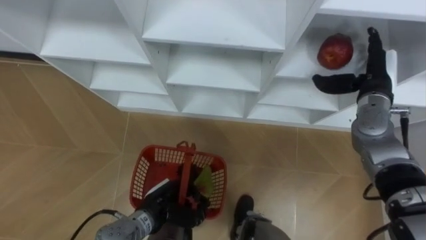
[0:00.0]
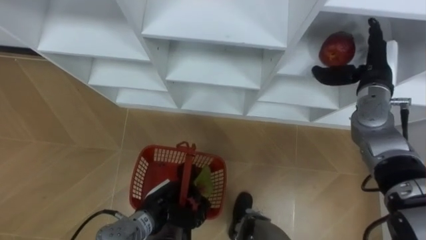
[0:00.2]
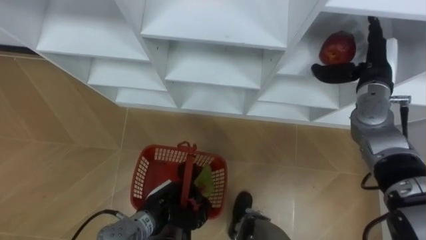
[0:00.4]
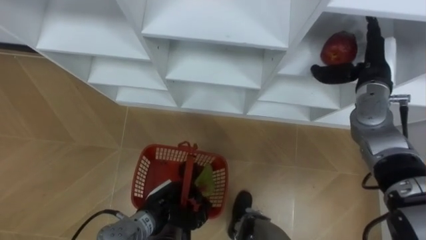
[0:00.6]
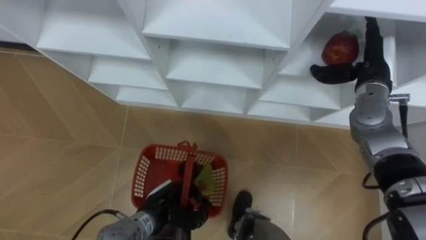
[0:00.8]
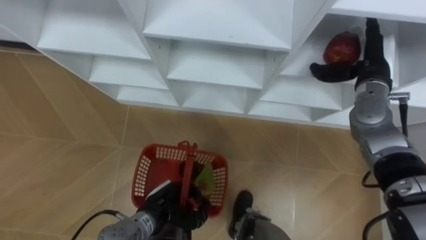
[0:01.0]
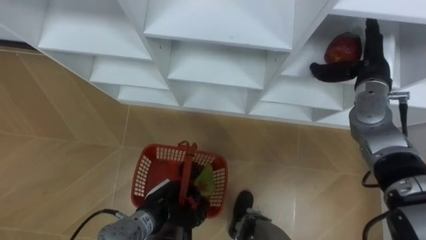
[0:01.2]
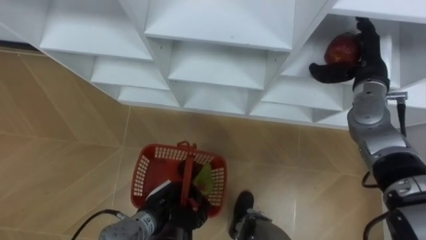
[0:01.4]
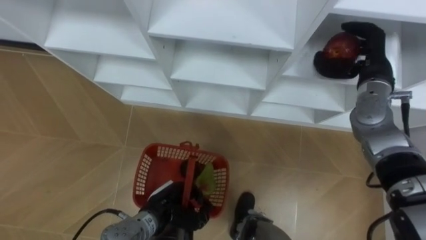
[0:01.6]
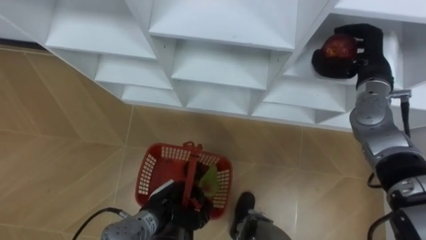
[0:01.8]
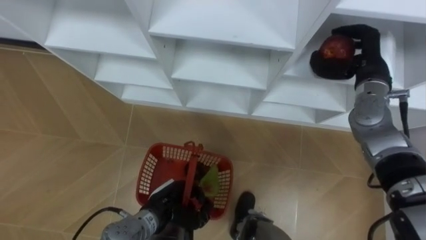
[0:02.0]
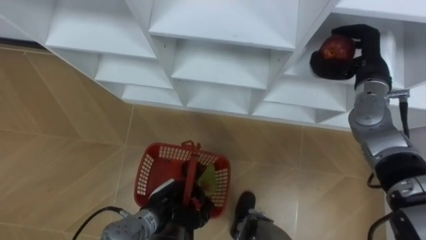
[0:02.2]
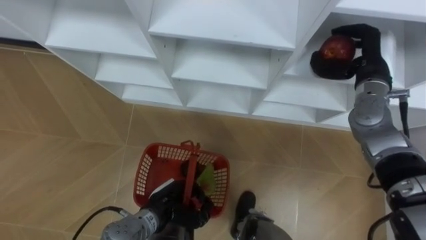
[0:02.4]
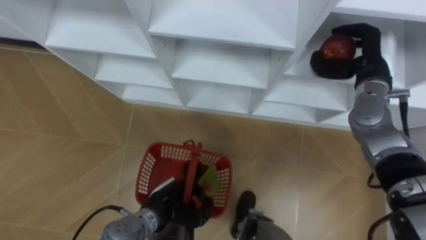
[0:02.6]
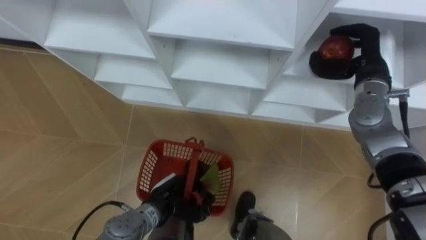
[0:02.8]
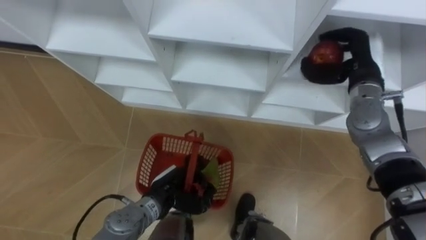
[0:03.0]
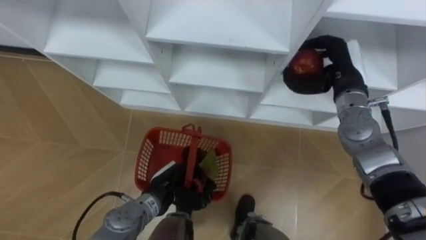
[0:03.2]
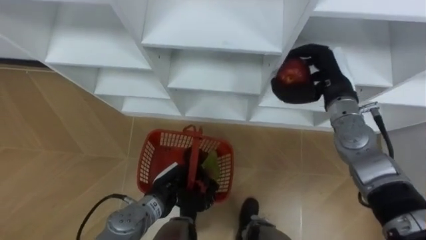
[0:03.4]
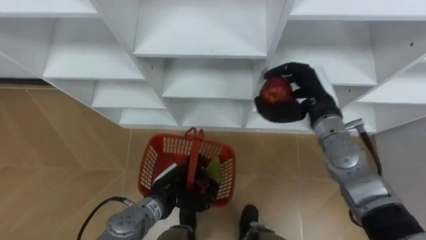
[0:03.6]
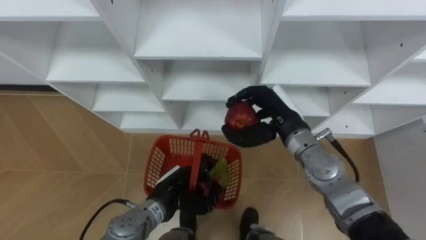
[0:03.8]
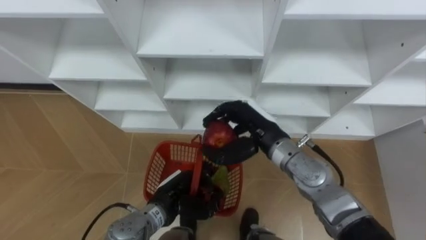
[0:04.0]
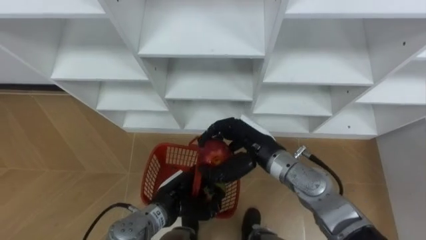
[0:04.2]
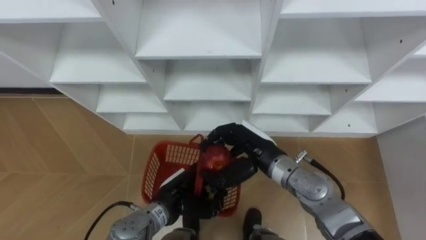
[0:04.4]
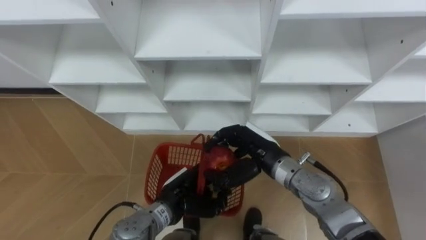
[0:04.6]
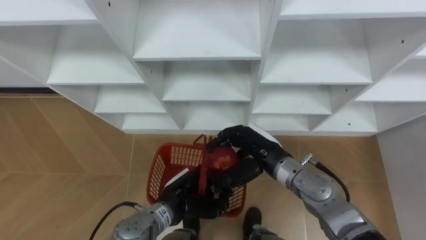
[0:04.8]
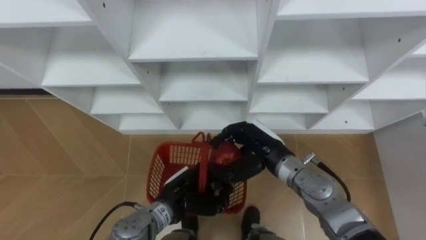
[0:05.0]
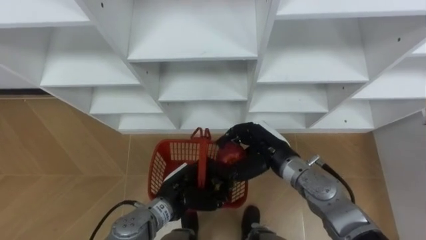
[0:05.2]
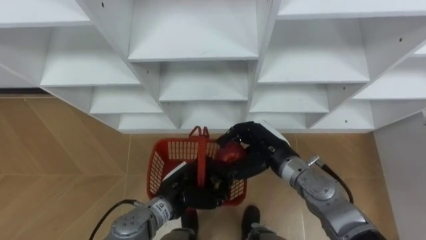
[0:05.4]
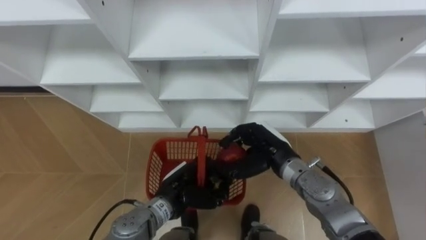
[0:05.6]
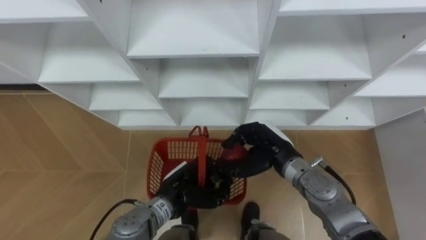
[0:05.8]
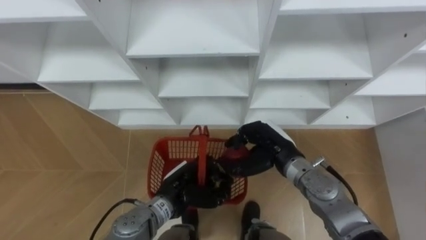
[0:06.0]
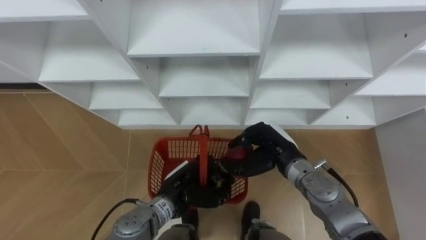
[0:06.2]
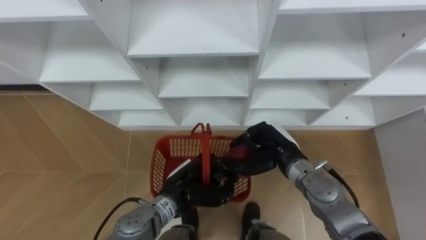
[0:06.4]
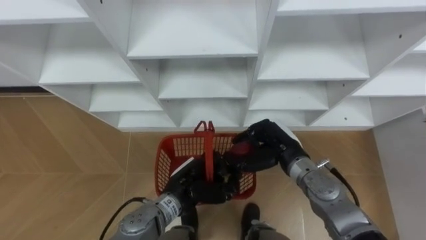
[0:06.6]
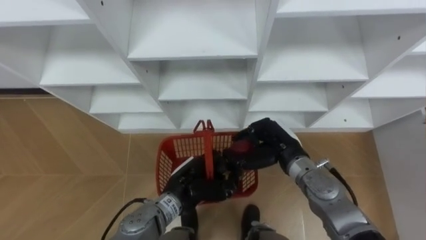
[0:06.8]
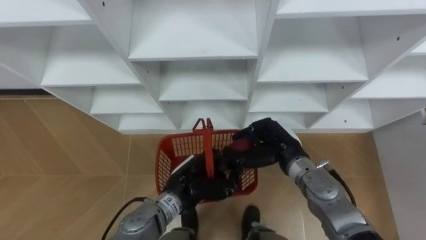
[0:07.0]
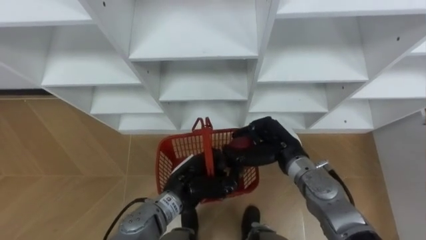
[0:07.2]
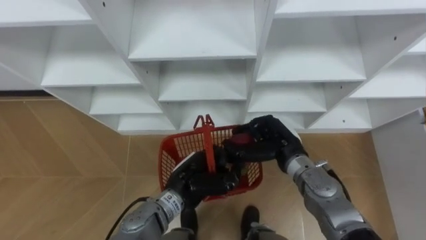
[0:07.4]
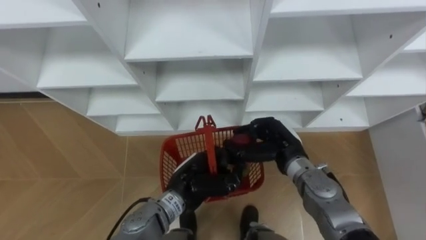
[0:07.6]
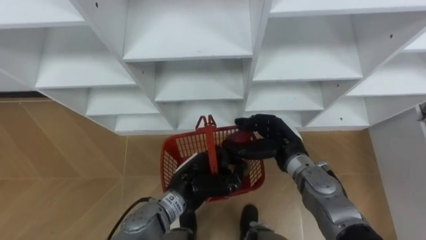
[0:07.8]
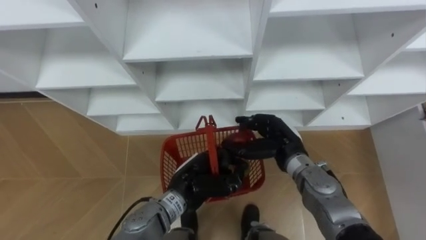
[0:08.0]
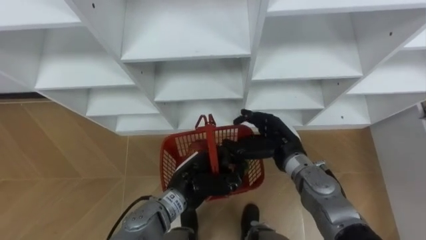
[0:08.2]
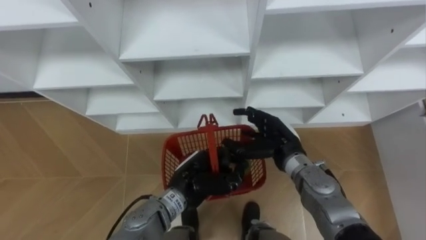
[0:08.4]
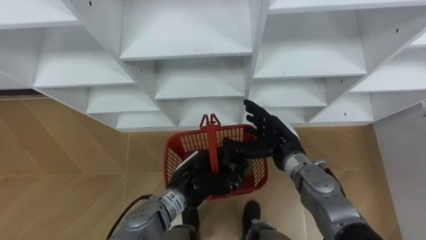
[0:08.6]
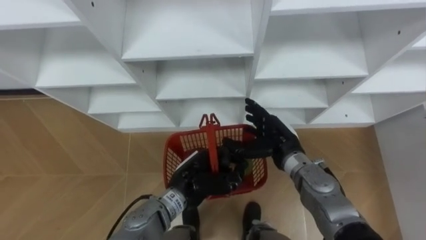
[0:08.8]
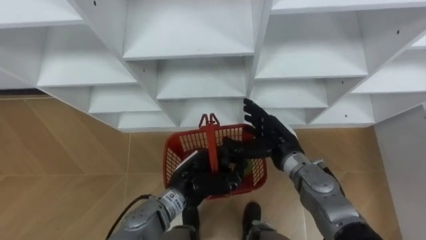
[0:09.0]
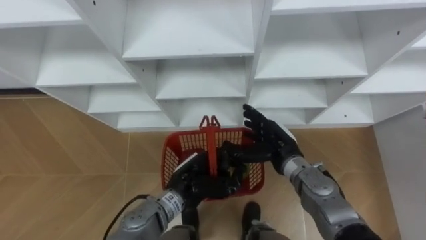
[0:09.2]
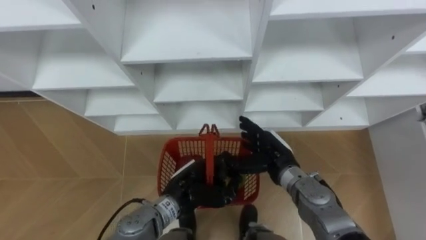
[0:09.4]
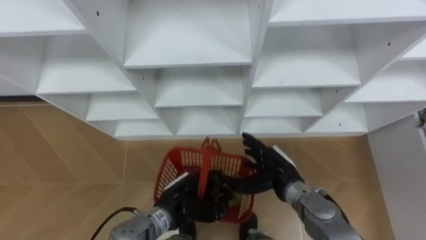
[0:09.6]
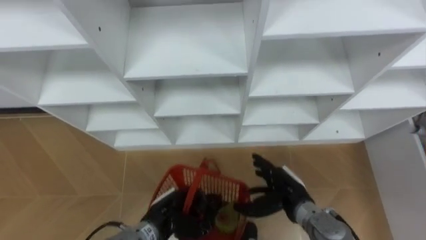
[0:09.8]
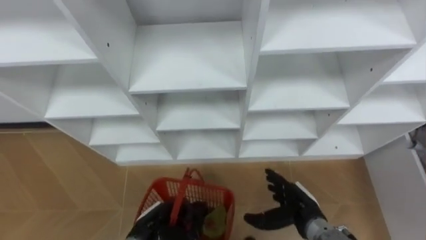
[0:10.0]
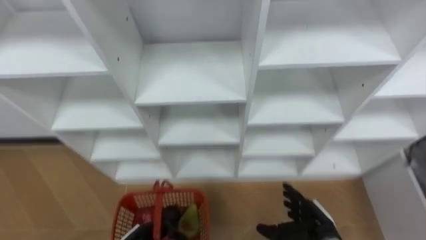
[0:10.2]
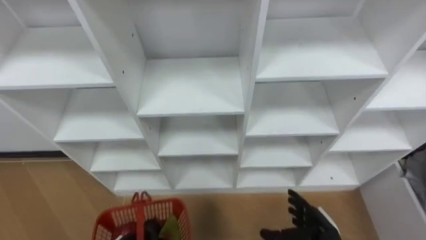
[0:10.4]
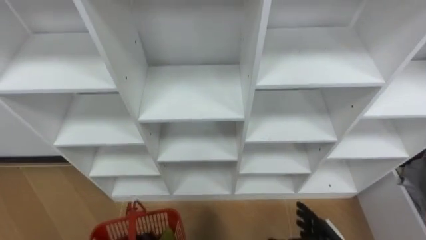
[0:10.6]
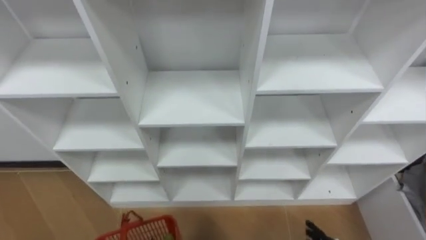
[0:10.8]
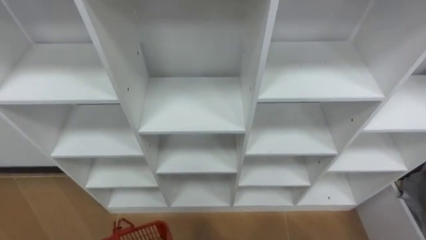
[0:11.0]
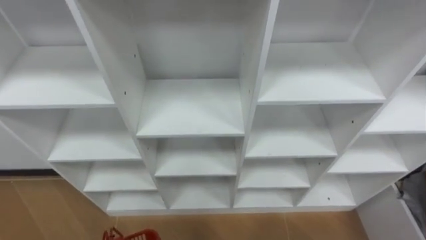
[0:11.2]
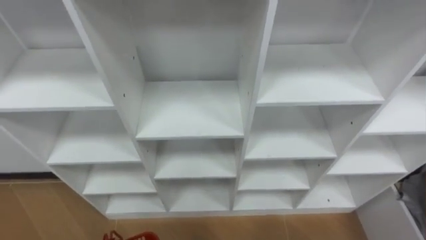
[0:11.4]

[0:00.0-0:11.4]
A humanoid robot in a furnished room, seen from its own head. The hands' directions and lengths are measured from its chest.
Task of the whole recording: Hold the basket and collect the fruits from 3 different cells of the closet into it.
0:01.4 to 0:02.8: The right hand closes up.
0:02.8 to 0:04.2: The right hand shifts approximately 25 cm to the left, backward and downward.
0:04.2 to 0:05.6: The right hand moves approximately 5 cm.
0:05.6 to 0:07.2: The hands move only a little.
0:07.2 to 0:08.6: The right hand opens up.
0:08.6 to 0:10.0: The left hand moves downward, to the left and backward, roughly 15 cm. The right hand is displaced backward, downward and to the right by about 15 cm.

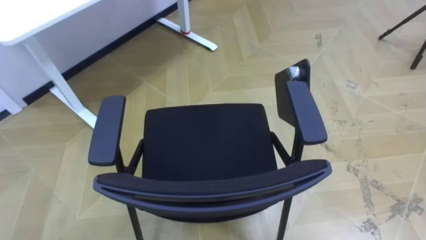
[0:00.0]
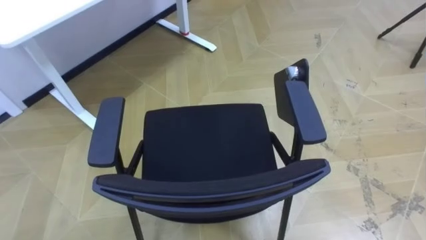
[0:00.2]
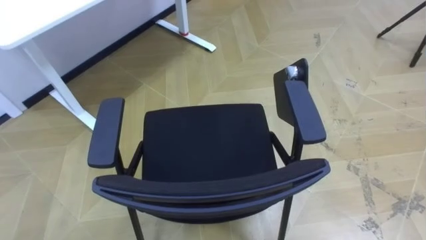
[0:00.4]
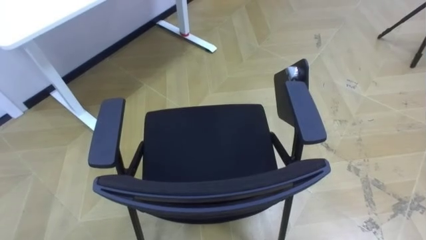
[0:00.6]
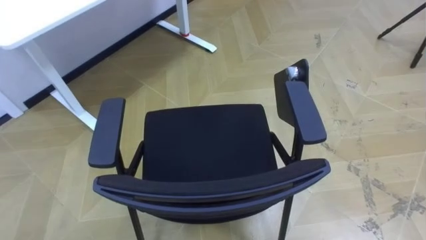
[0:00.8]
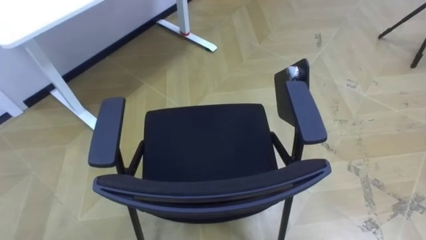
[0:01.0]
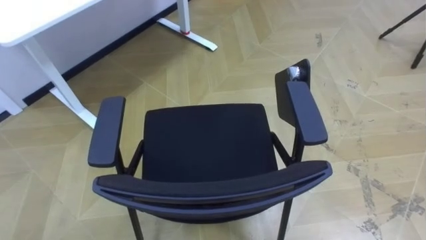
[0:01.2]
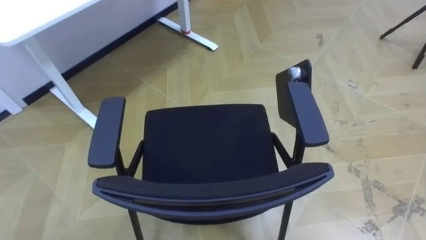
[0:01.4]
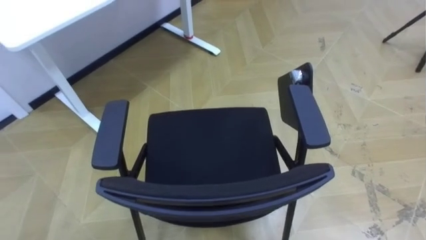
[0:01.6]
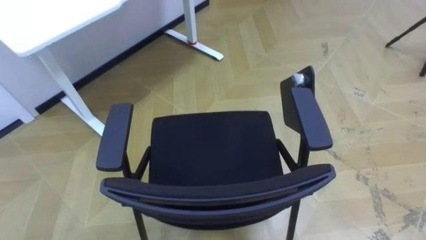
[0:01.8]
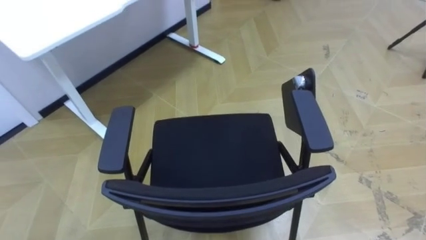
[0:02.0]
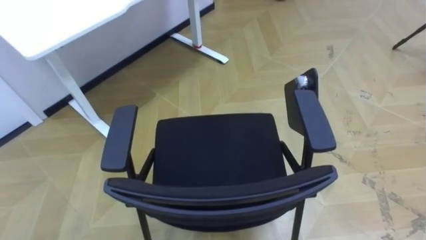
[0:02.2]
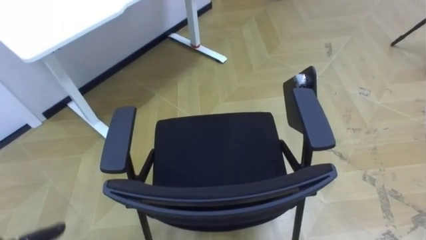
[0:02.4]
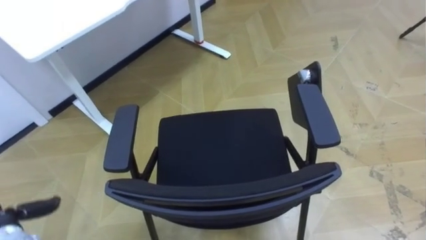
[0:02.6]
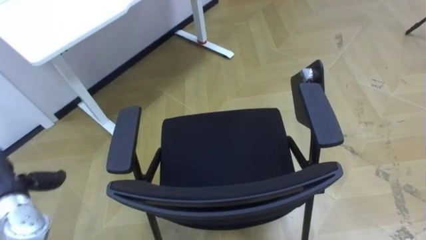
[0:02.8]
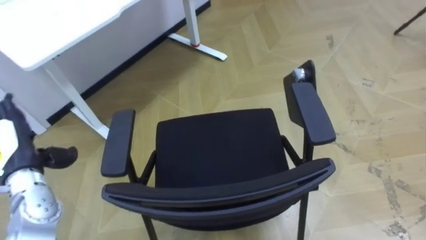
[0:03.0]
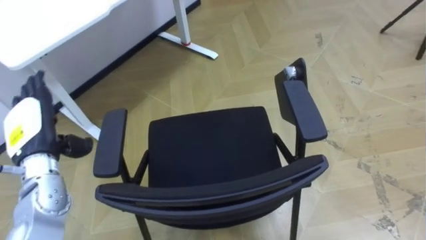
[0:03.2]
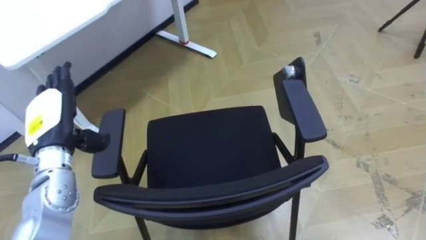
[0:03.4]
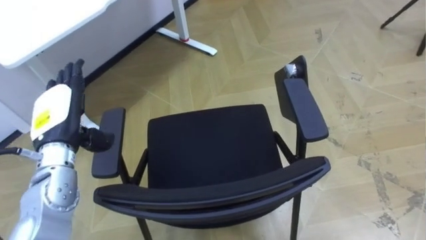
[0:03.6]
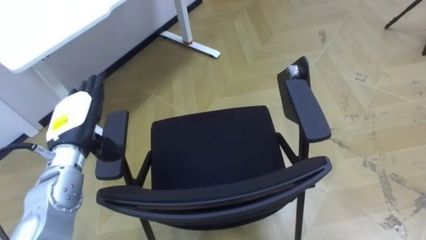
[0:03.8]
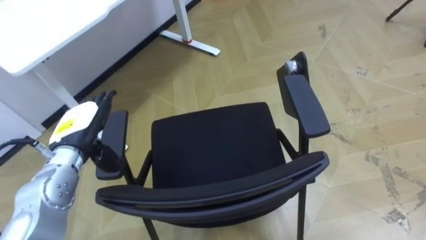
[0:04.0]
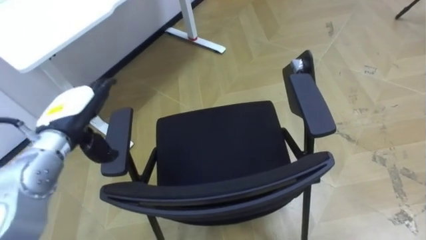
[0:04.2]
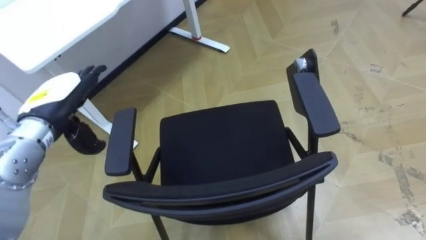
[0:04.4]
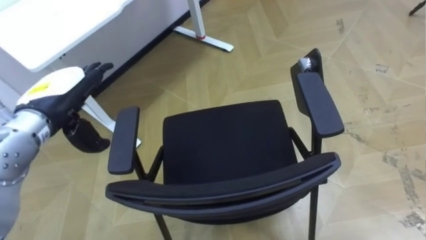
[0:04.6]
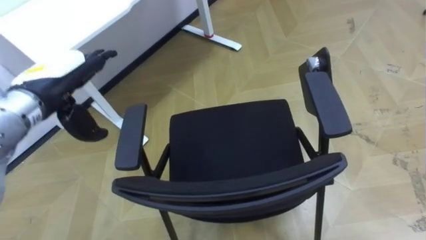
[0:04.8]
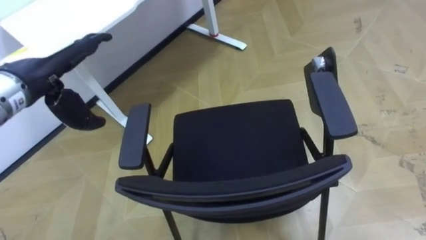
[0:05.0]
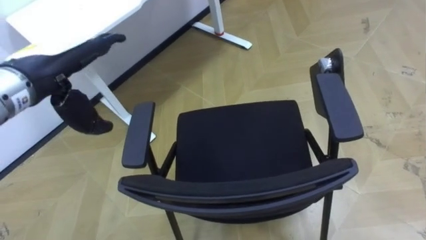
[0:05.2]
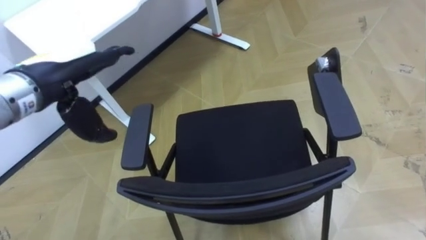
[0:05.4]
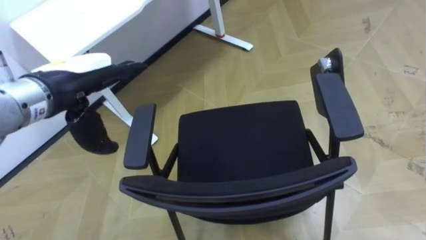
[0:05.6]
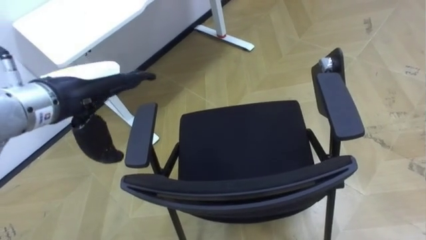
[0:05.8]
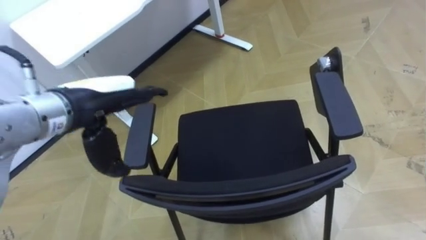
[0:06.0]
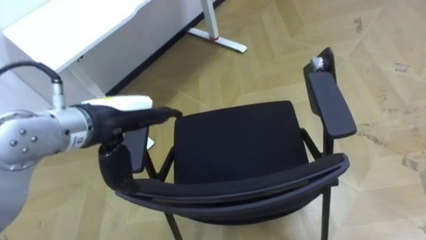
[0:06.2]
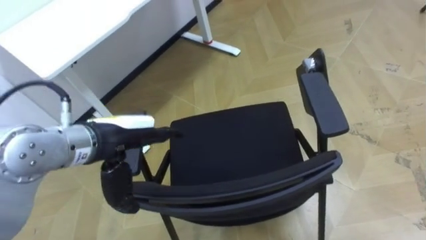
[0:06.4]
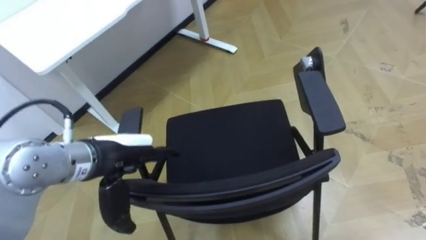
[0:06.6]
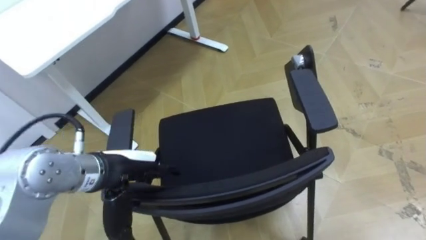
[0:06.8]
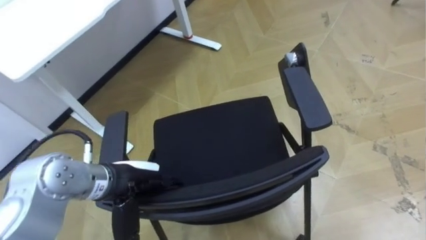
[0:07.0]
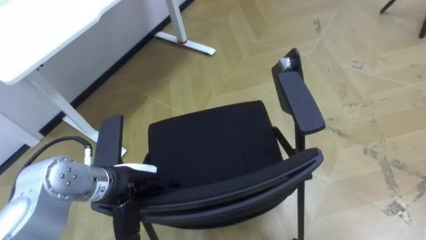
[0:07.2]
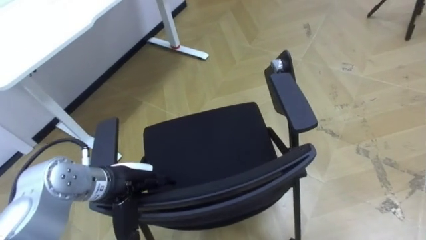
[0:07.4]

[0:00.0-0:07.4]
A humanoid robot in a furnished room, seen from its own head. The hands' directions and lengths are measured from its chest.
Task of the whole recording: Push the chair under the table.
0:03.0 to 0:04.4: The left hand heads to the right and upward, covering some 10 cm.
0:04.4 to 0:06.0: The left hand heads to the right and upward, covering about 10 cm.
0:06.0 to 0:07.4: The left hand heads downward, covering about 15 cm.
